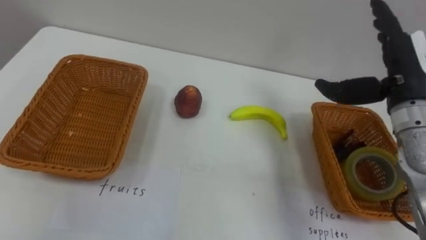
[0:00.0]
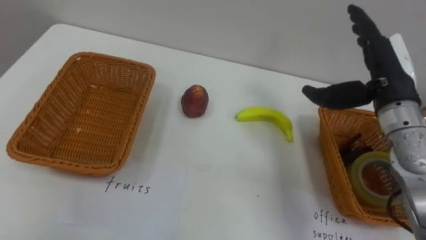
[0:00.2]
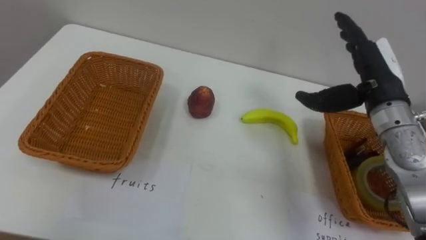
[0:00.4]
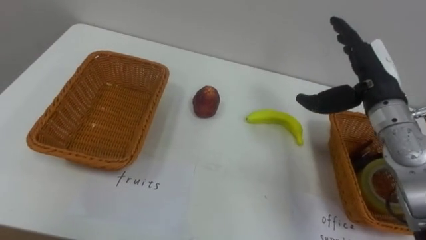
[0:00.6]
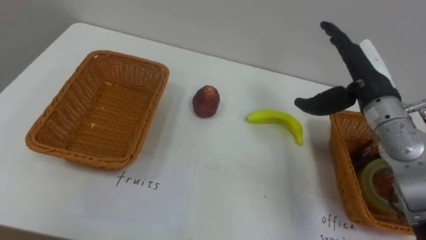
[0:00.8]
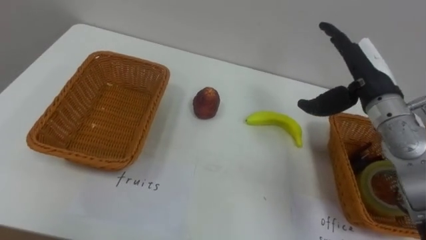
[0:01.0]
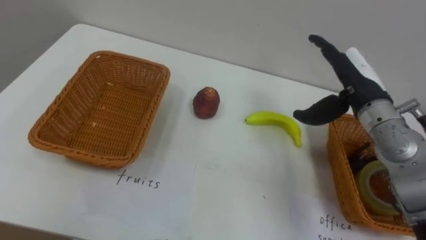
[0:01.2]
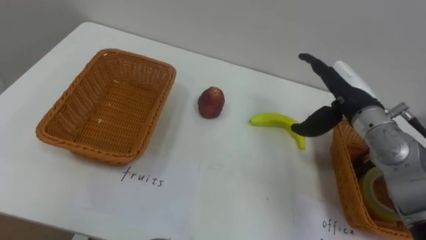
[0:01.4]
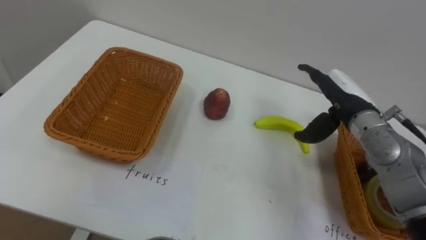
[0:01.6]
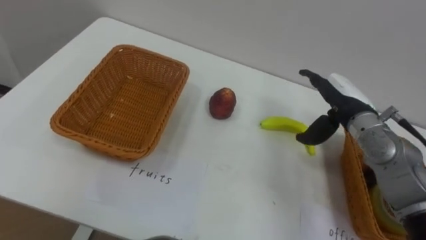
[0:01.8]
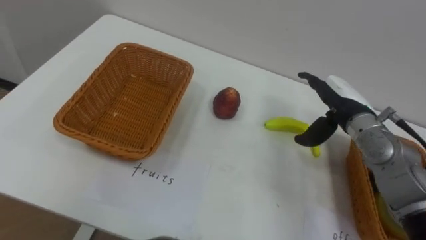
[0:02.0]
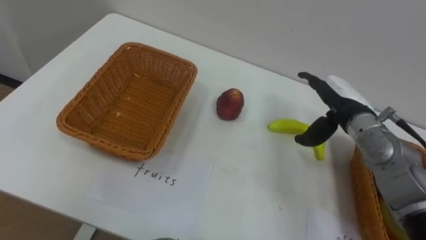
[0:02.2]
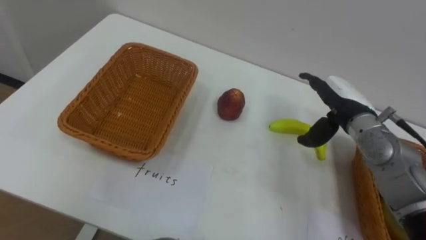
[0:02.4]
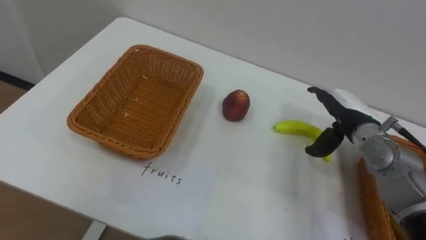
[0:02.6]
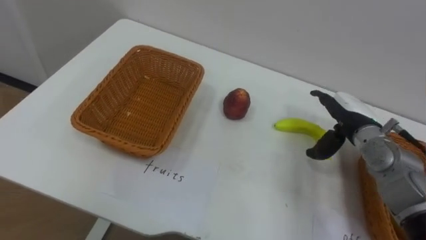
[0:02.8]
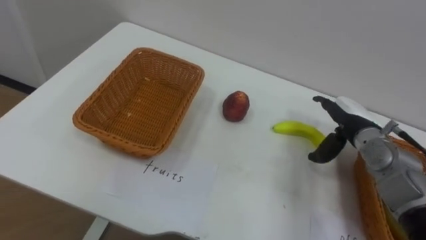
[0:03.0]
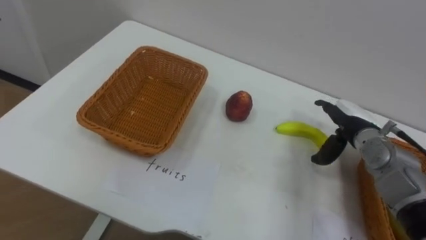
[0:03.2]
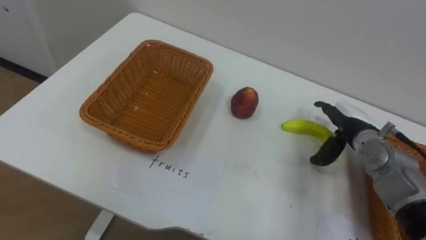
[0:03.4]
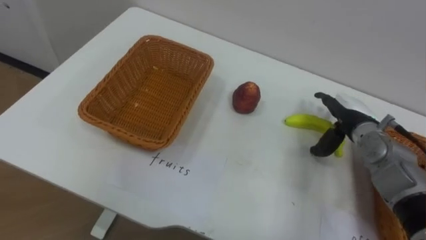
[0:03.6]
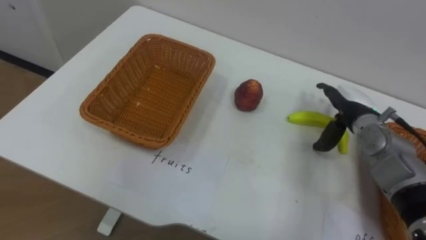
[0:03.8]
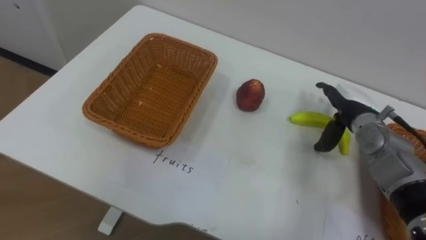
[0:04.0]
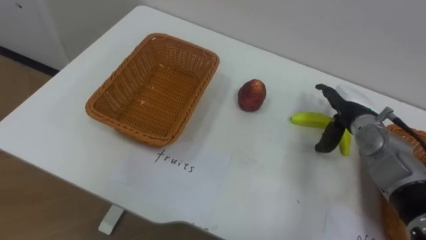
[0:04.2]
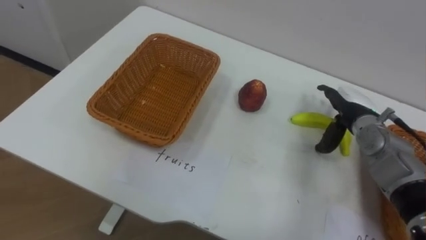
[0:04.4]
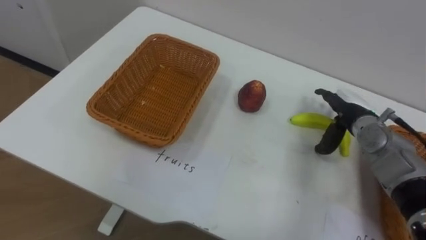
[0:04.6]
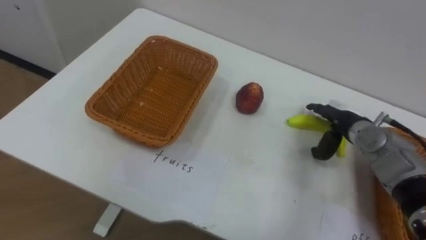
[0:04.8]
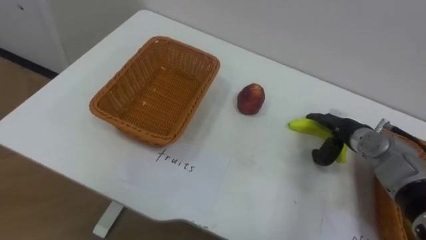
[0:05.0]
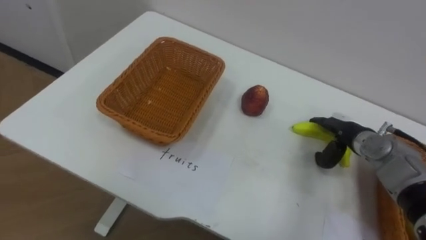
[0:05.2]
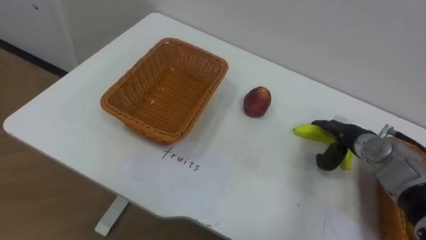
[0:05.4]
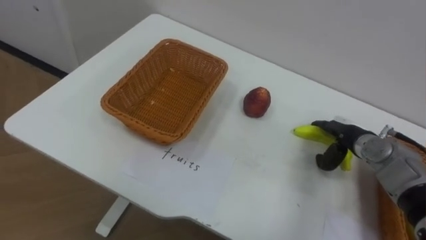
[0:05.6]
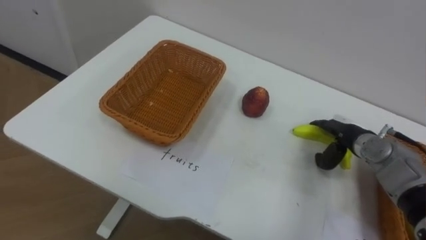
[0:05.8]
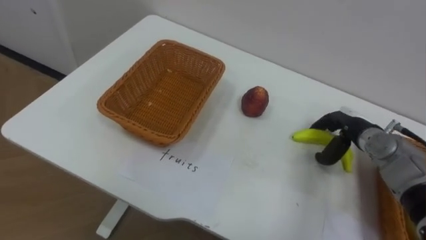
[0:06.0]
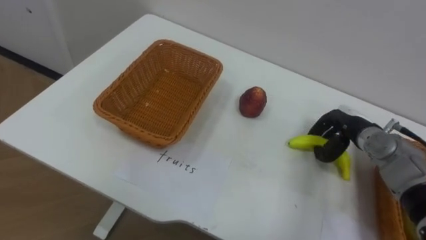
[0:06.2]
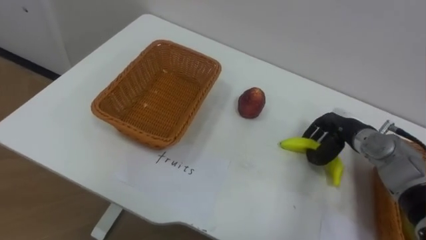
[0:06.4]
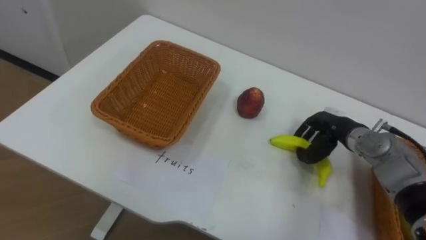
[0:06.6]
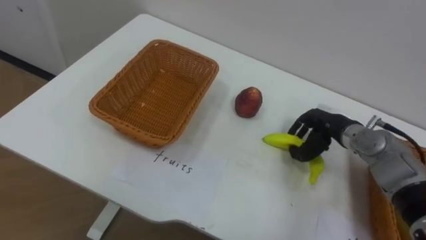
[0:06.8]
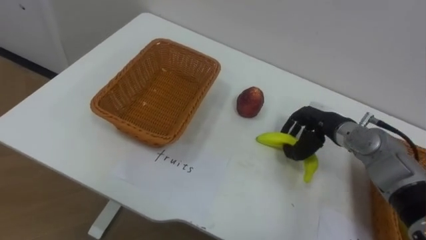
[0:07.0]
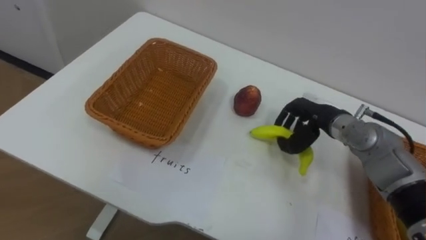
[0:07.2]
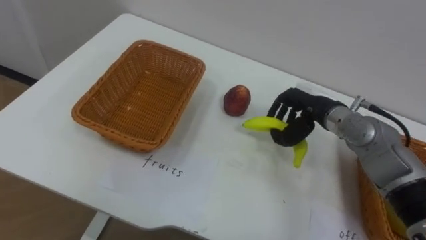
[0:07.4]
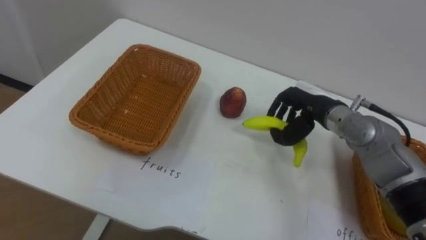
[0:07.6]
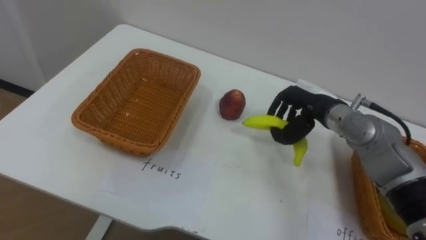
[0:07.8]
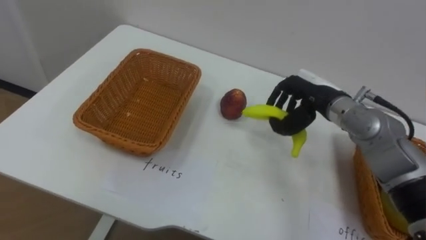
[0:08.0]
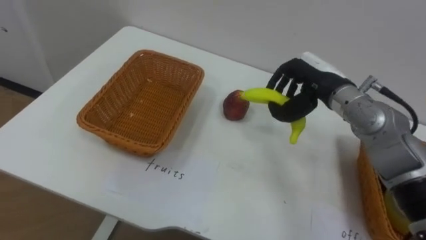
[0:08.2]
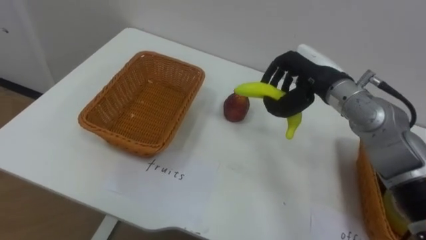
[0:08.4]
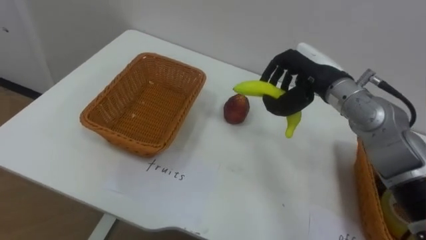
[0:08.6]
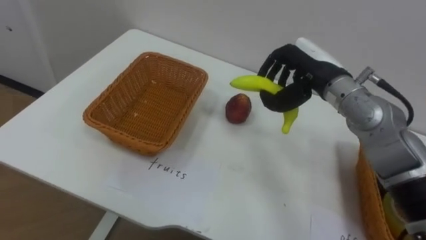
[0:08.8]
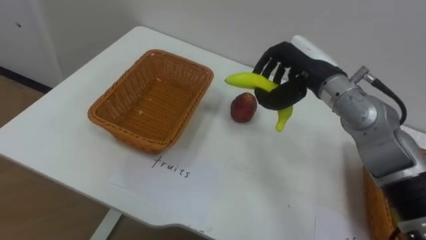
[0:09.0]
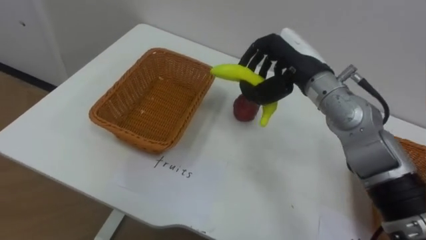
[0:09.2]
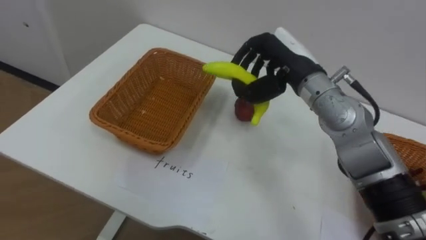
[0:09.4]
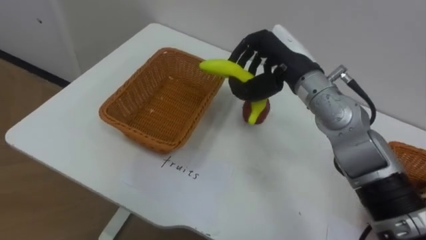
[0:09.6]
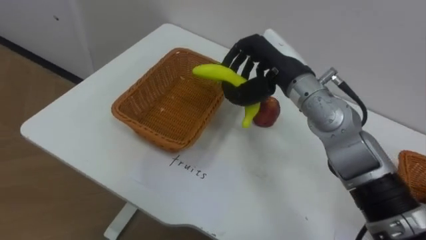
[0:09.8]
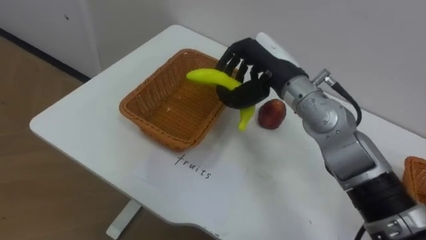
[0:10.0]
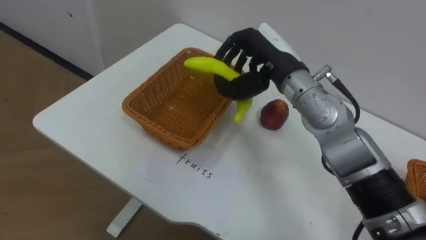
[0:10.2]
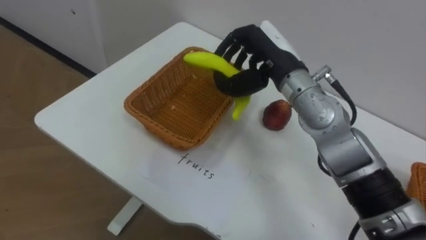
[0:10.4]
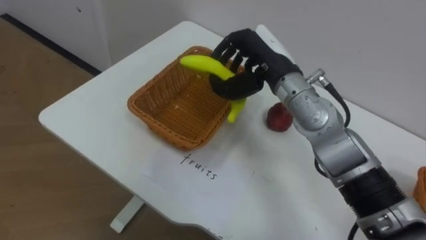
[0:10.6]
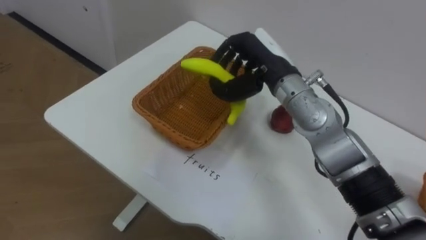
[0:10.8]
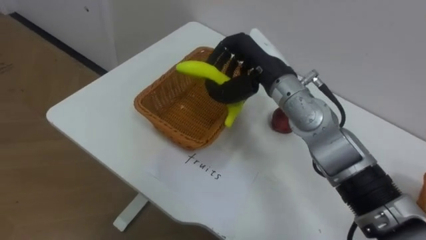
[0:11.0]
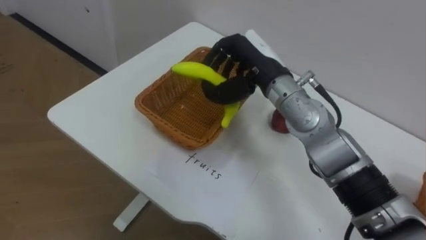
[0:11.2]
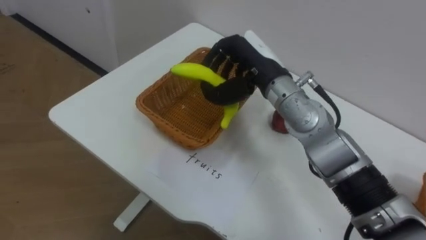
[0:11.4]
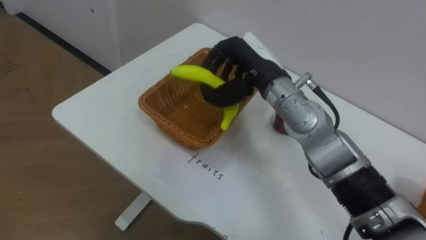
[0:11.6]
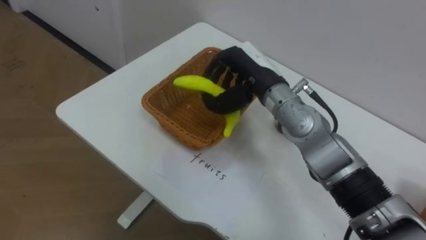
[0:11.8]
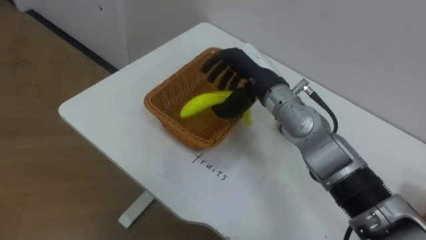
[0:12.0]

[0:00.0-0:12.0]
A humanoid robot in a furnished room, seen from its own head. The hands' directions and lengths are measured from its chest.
Task of the whole recording: Separate the items on the table and place them into the two baskets.
0:00.0 to 0:01.6: The right hand heads downward and to the left, covering roughly 10 cm.
0:01.6 to 0:03.0: The right hand goes roughly 5 cm downward.
0:06.0 to 0:07.6: The right hand is displaced to the left and upward by some 10 cm, and closes its fingers.
0:07.6 to 0:09.0: The right hand heads upward, covering some 10 cm.
0:09.0 to 0:10.4: The right hand moves to the left, roughly 5 cm.

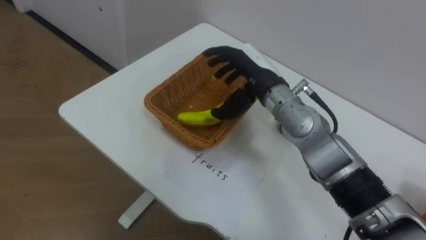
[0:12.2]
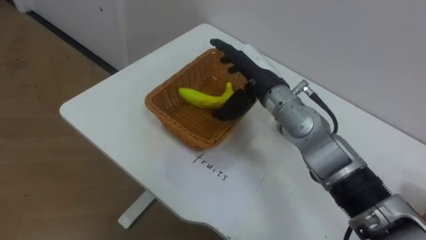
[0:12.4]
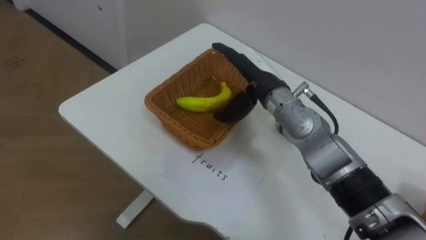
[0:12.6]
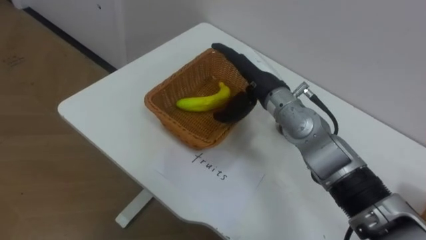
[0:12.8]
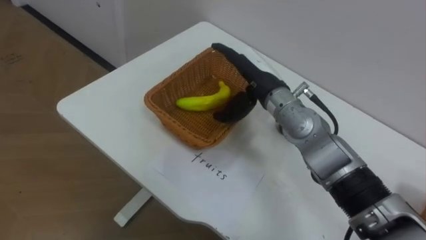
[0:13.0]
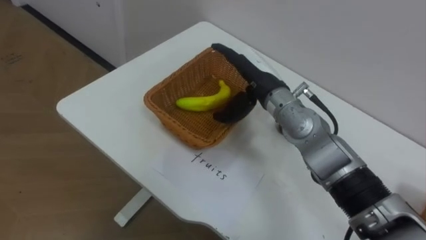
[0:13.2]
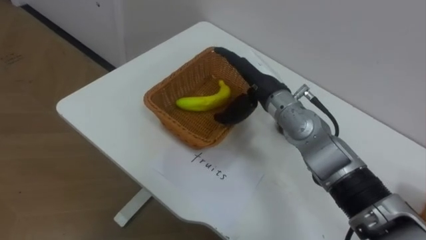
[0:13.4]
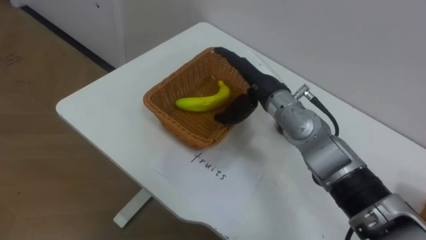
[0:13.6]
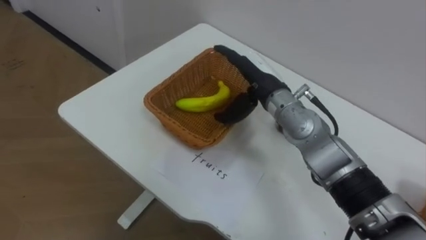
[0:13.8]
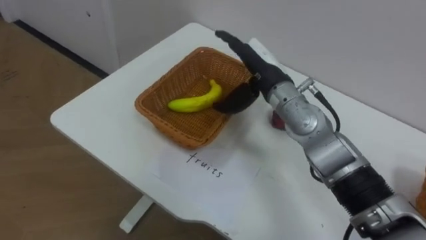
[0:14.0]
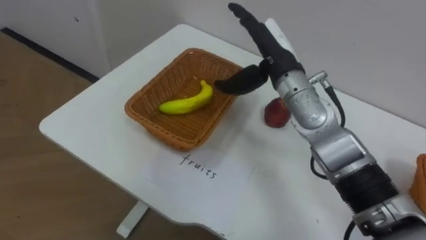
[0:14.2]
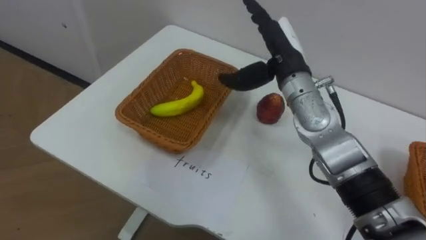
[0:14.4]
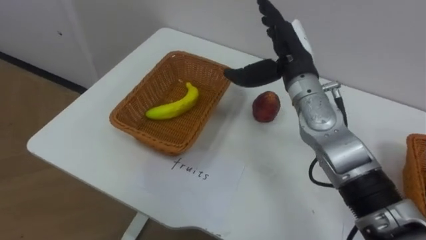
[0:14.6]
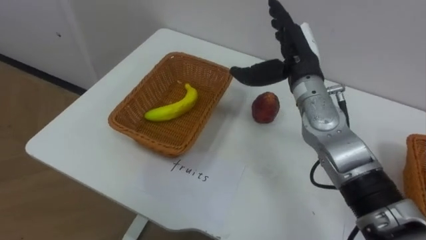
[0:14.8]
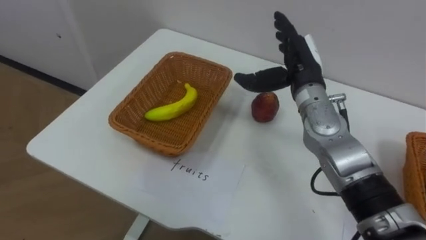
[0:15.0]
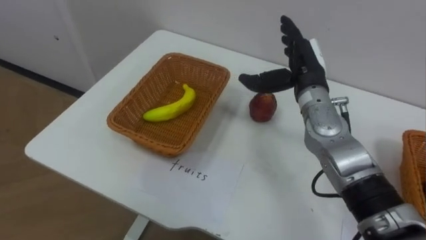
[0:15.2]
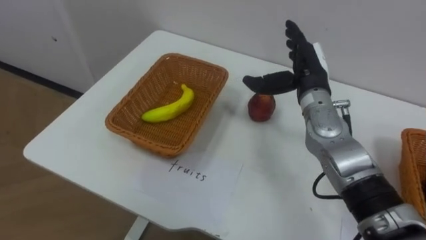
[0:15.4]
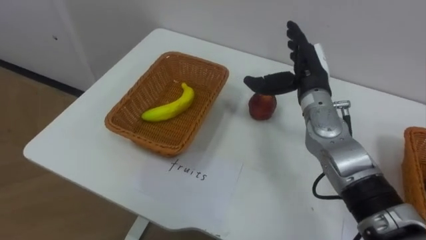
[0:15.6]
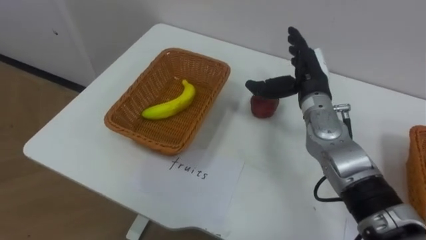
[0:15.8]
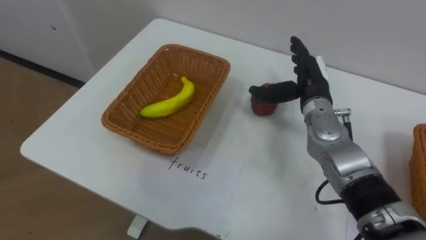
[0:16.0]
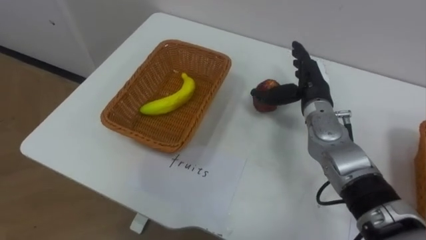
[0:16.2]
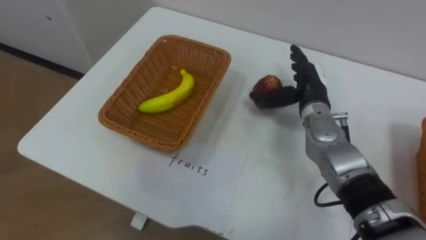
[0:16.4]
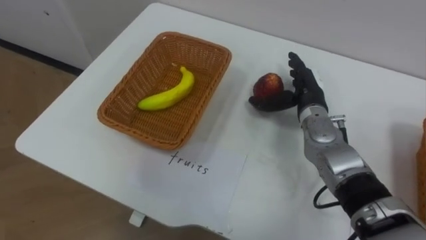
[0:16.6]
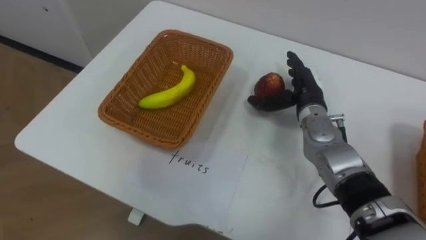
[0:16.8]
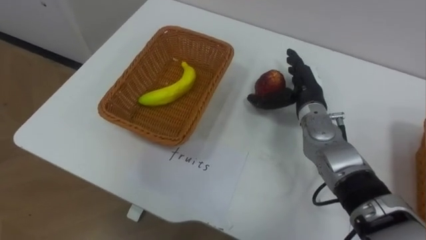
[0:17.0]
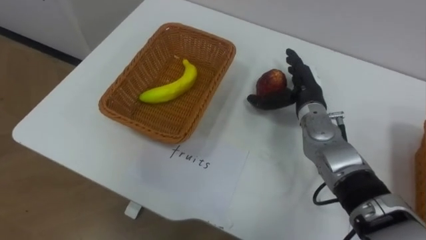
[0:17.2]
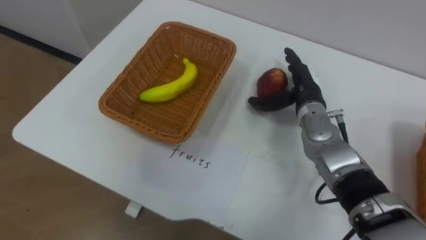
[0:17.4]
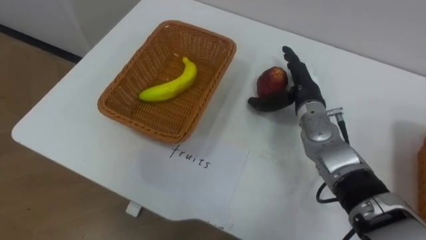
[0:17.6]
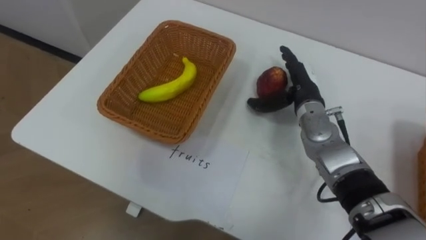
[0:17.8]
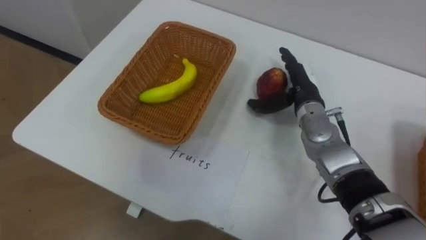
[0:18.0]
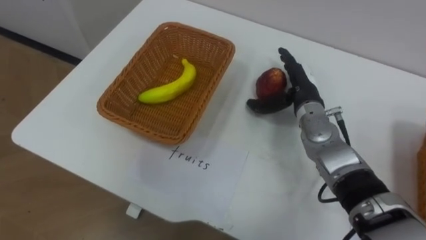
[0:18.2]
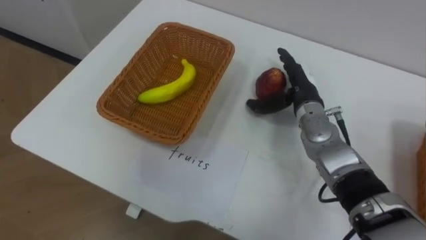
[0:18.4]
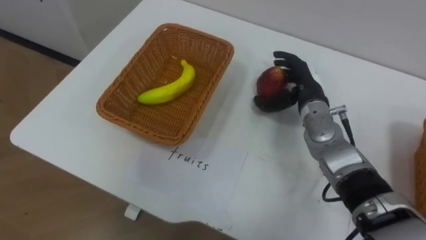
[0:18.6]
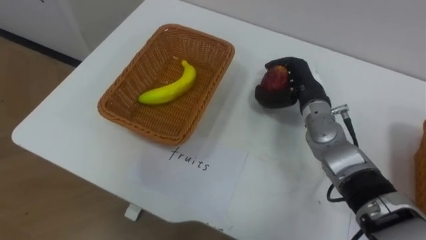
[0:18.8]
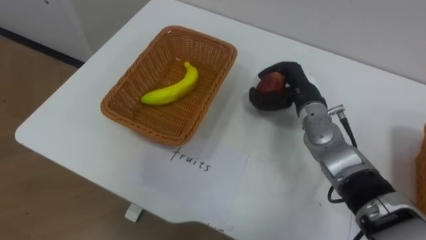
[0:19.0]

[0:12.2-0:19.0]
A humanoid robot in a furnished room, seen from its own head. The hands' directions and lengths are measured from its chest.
Task of the whole recording: Separate the items on the table and place them into the two baskets.
0:12.2 to 0:13.6: The right hand opens its fingers.
0:13.6 to 0:15.0: The right hand moves to the right, approximately 5 cm.
0:15.0 to 0:16.2: The right hand moves downward, about 5 cm.
0:17.6 to 0:19.0: The right hand closes.
